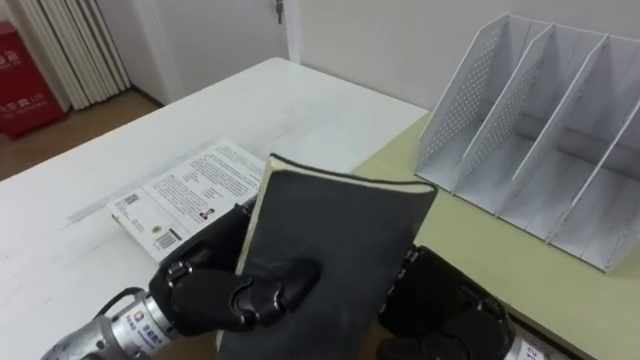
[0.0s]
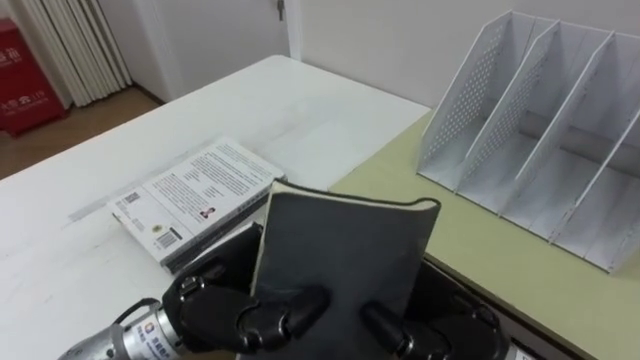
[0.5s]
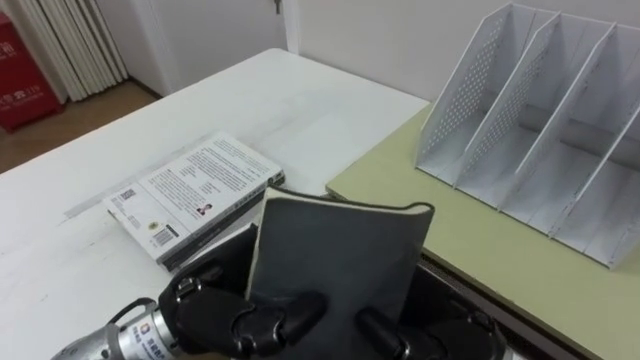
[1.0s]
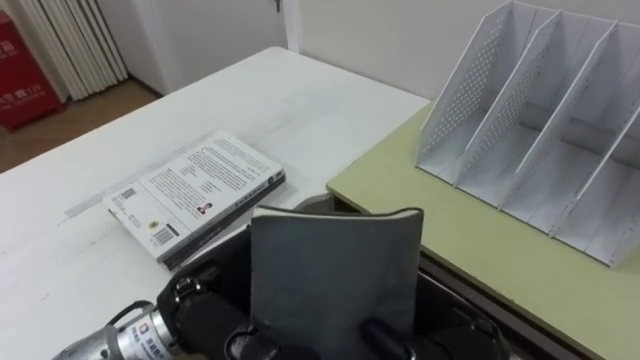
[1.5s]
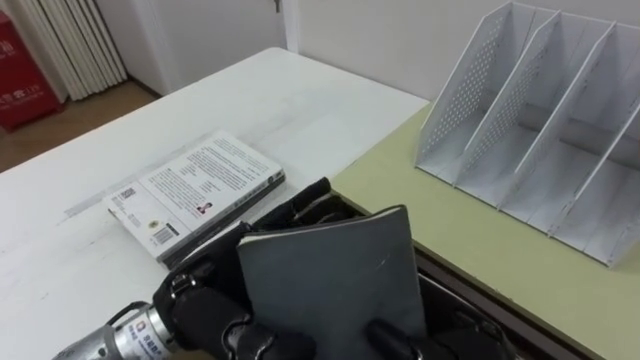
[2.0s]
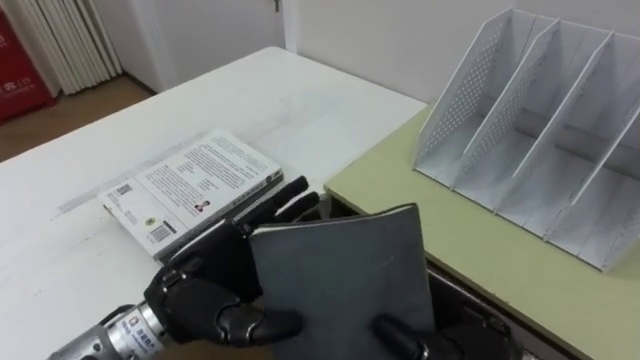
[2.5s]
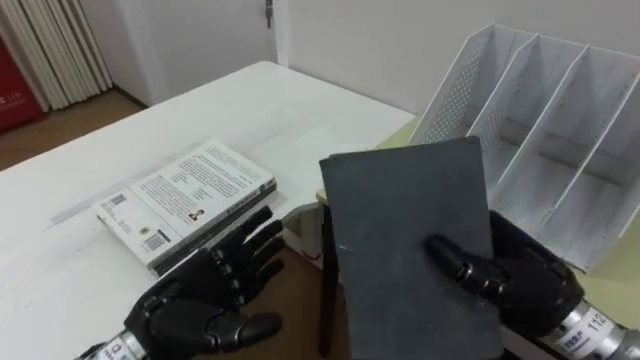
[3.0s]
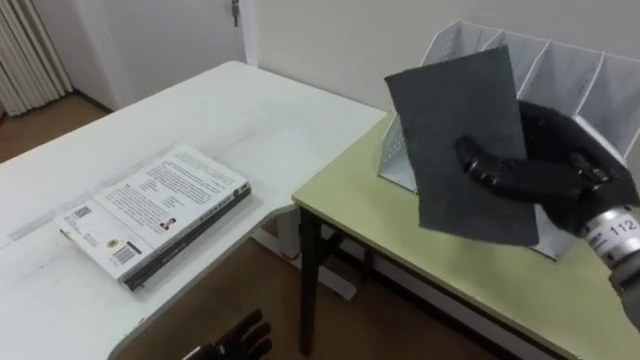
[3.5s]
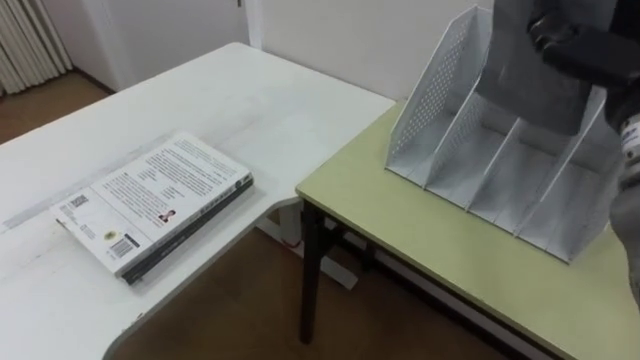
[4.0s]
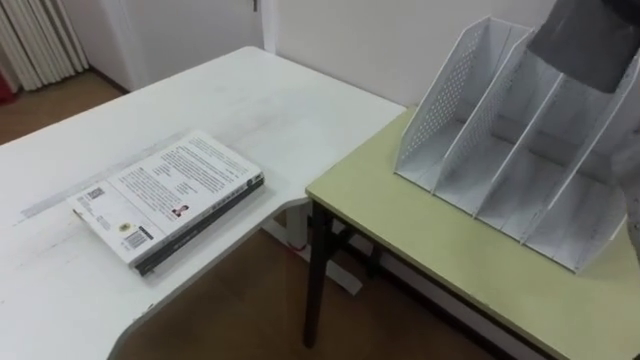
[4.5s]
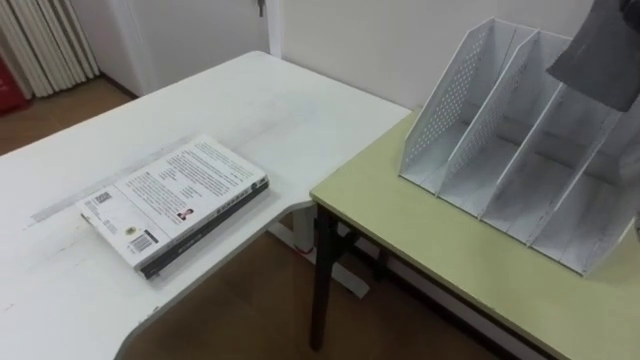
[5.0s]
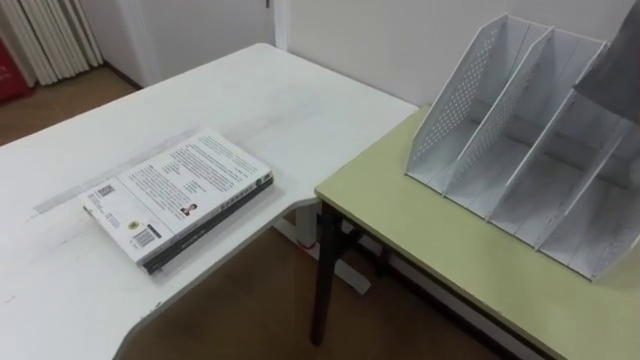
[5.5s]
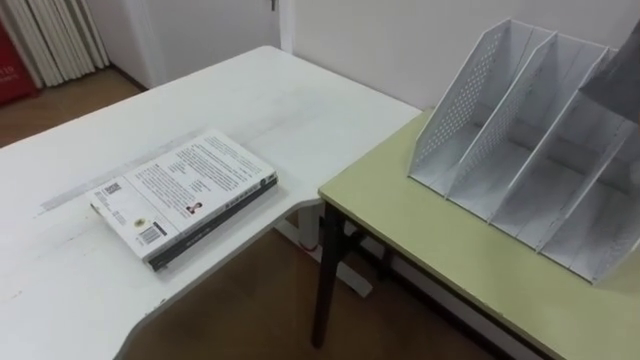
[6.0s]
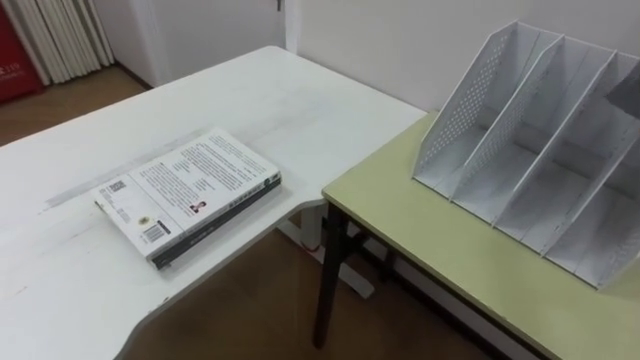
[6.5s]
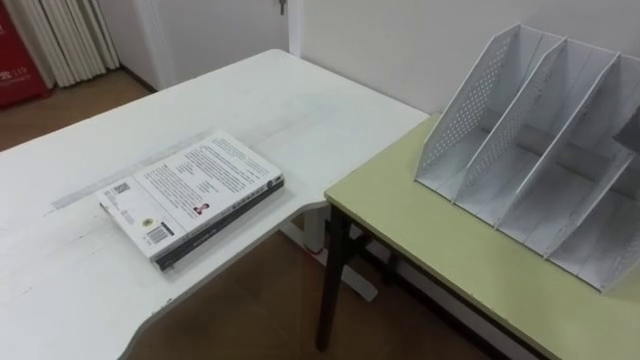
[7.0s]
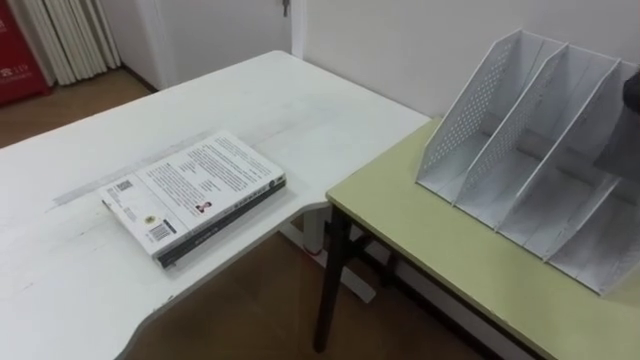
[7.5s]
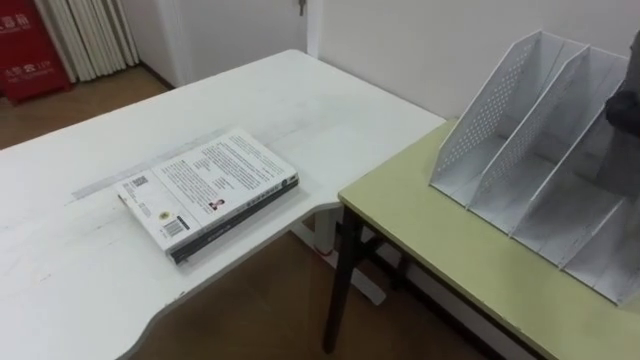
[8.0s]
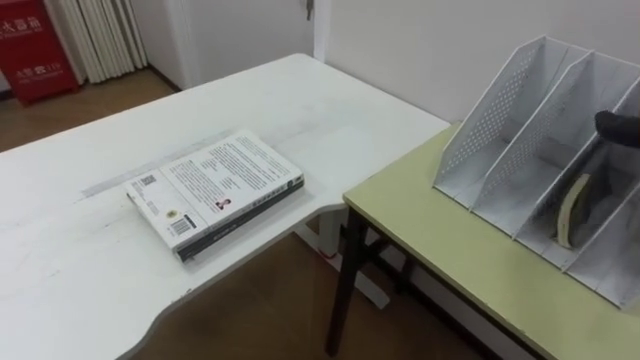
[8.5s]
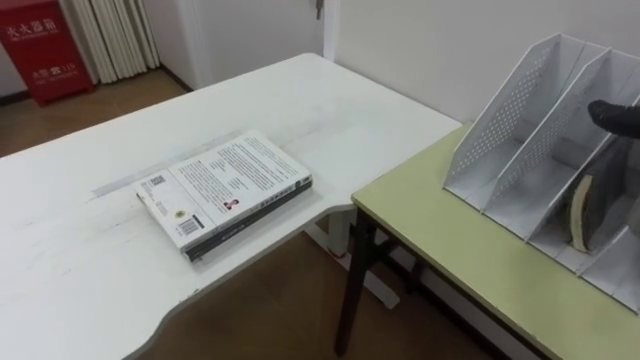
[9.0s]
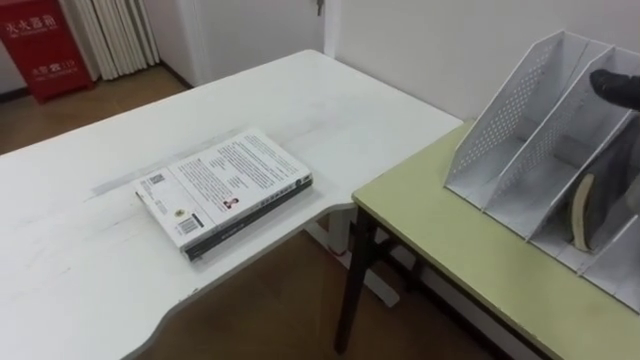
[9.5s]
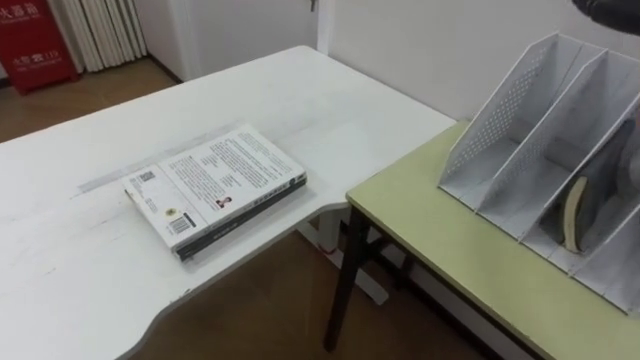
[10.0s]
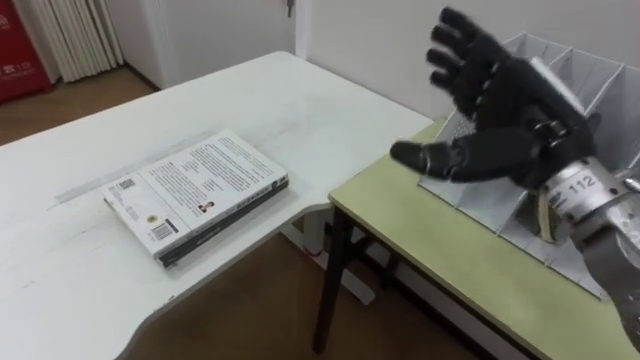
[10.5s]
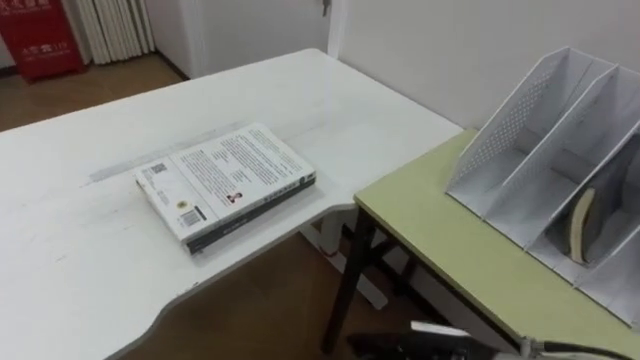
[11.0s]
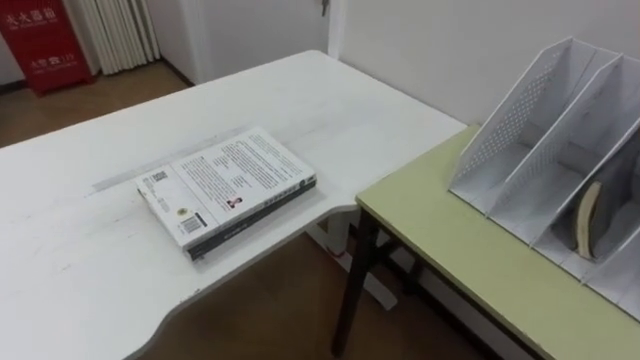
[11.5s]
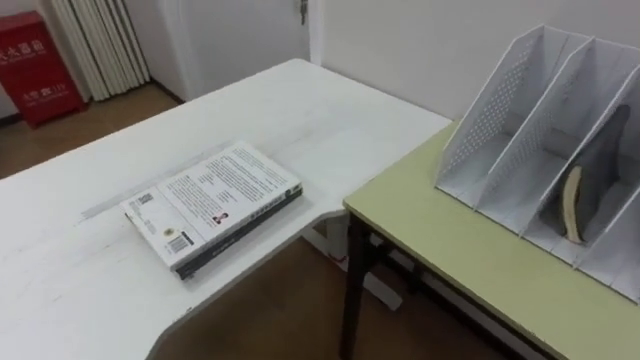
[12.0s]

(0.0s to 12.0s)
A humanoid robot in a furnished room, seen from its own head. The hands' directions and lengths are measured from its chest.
Task of the whole recording: Put the books on the table onto the bookshelf.
0.0s - 2.0s: The right hand closes its fingers, while the left hand opens up.
2.0s - 4.0s: The right hand is displaced upward, to the right and forward by approximately 30 cm.

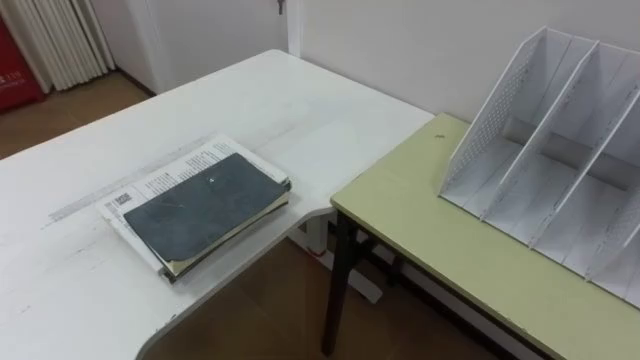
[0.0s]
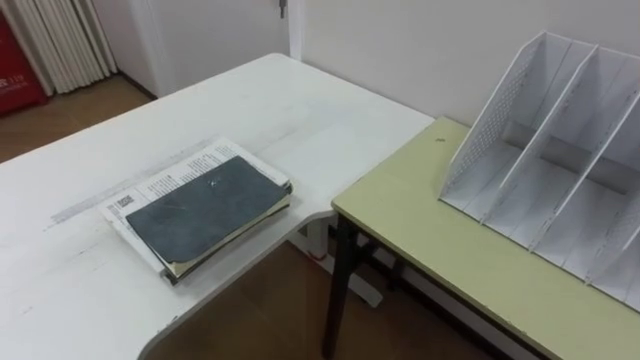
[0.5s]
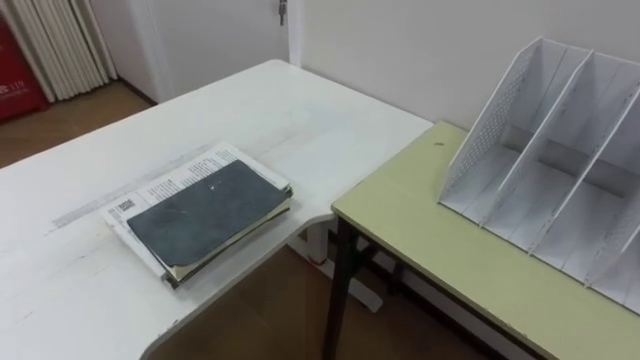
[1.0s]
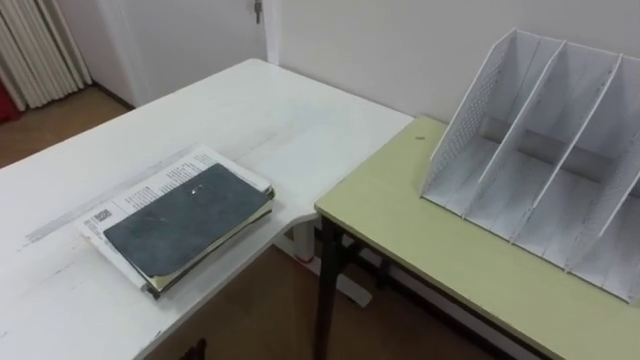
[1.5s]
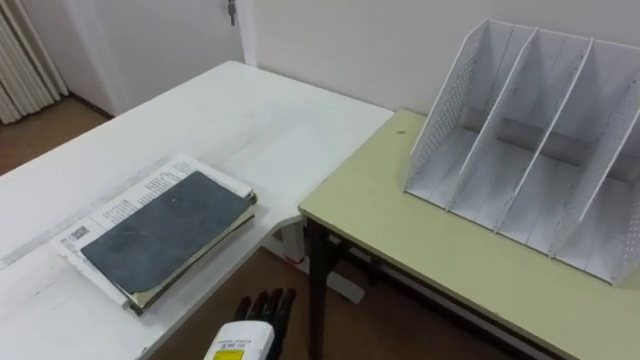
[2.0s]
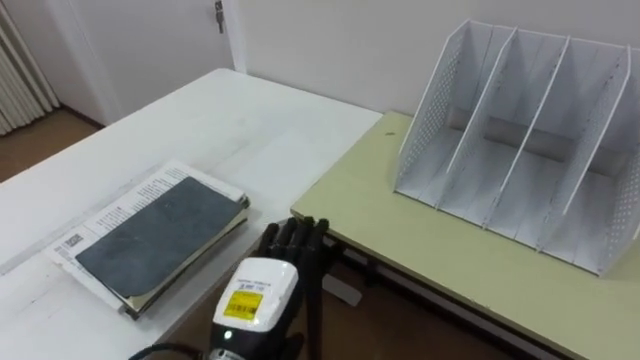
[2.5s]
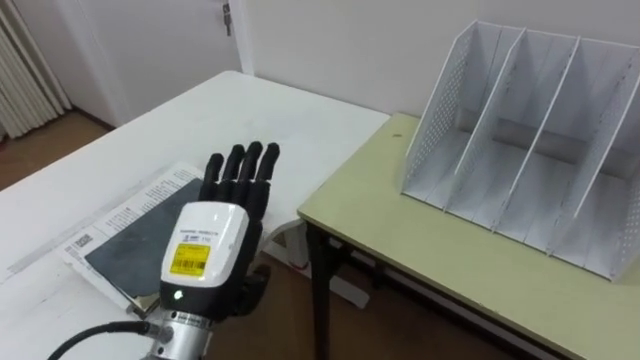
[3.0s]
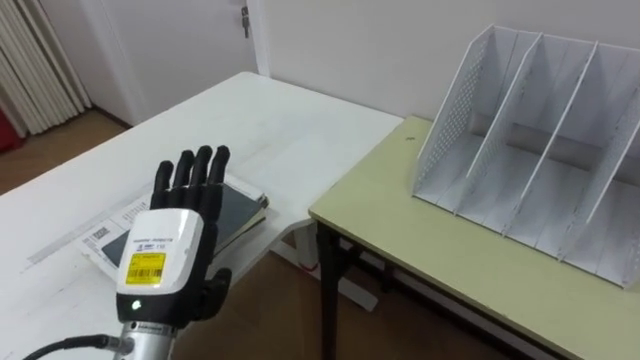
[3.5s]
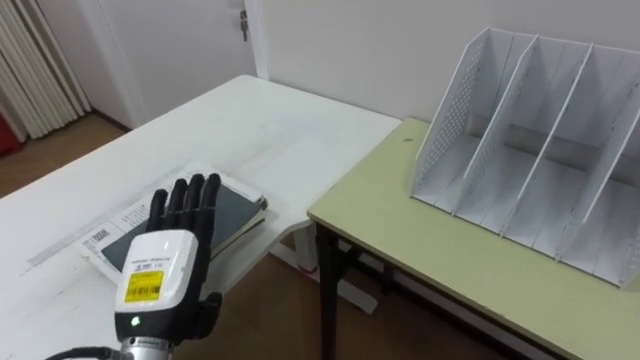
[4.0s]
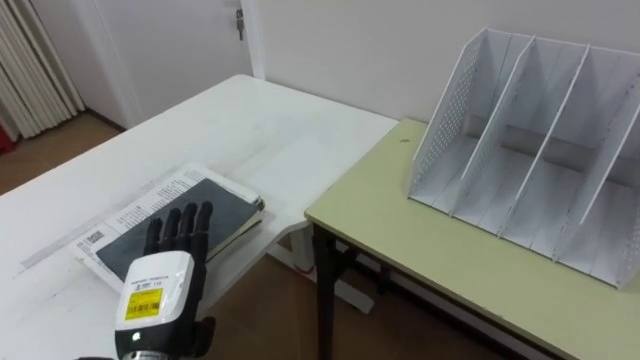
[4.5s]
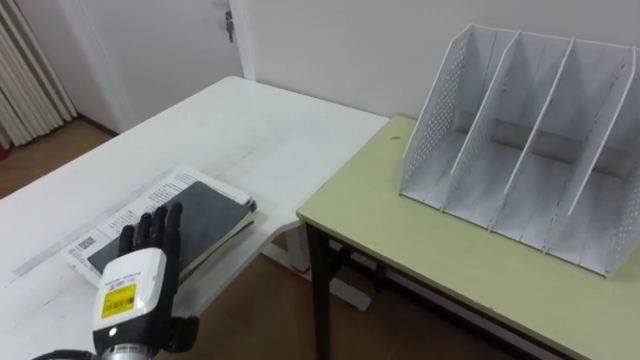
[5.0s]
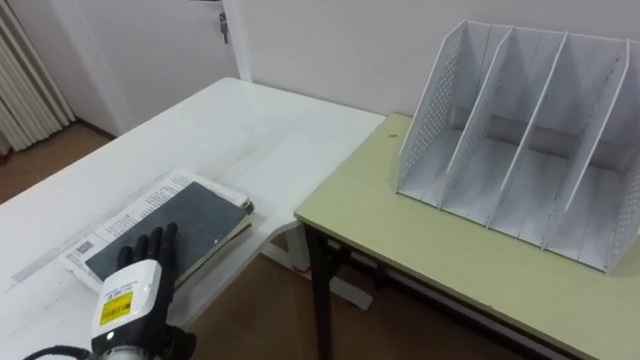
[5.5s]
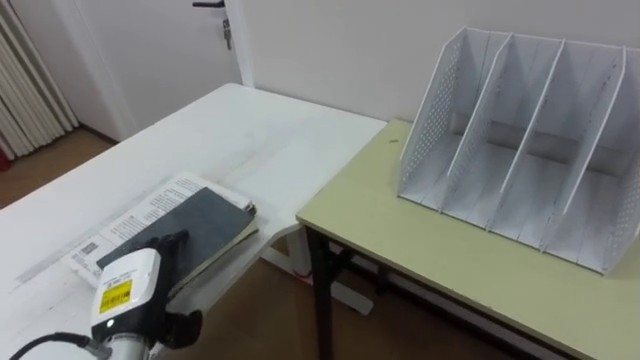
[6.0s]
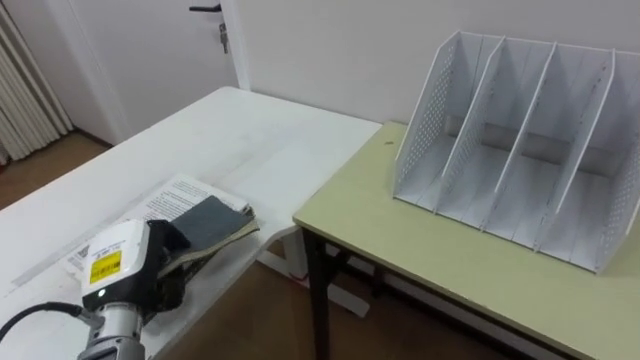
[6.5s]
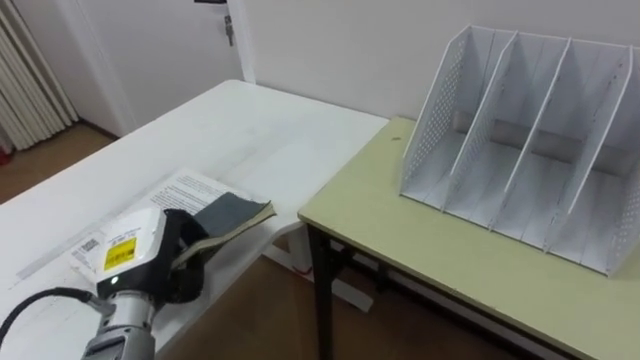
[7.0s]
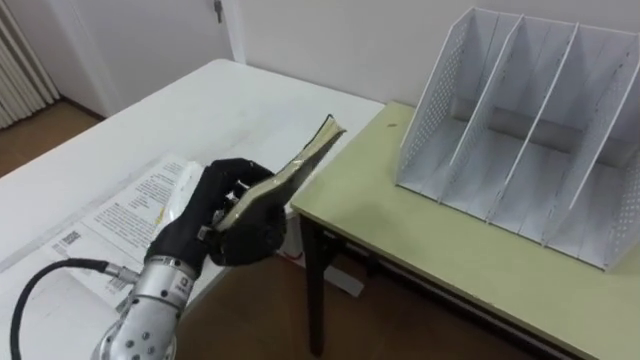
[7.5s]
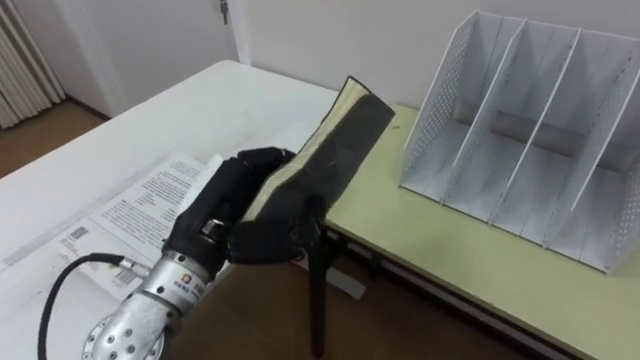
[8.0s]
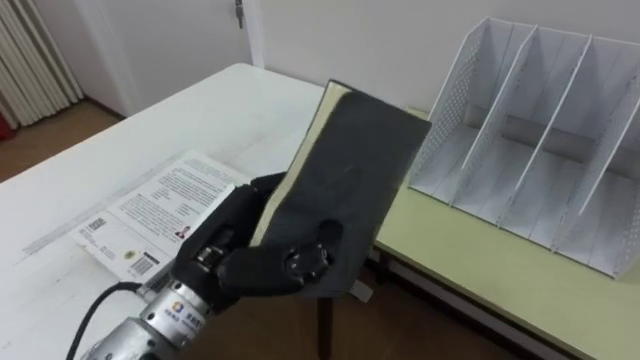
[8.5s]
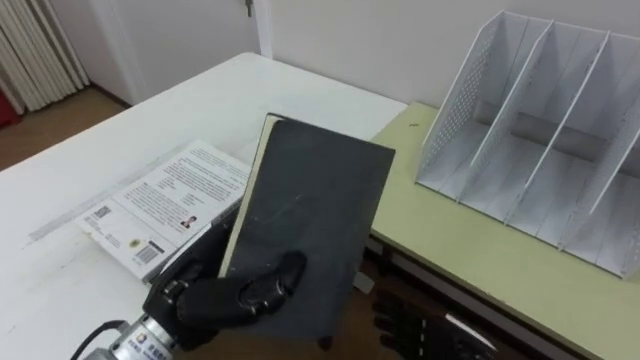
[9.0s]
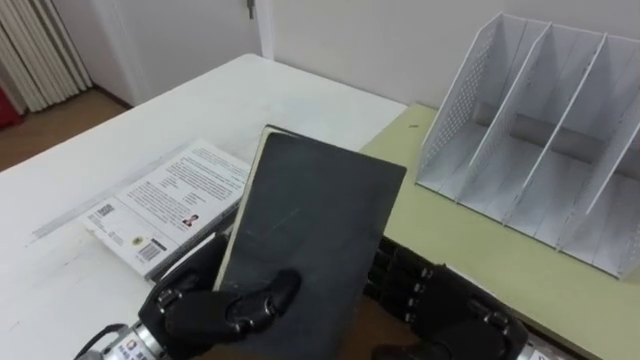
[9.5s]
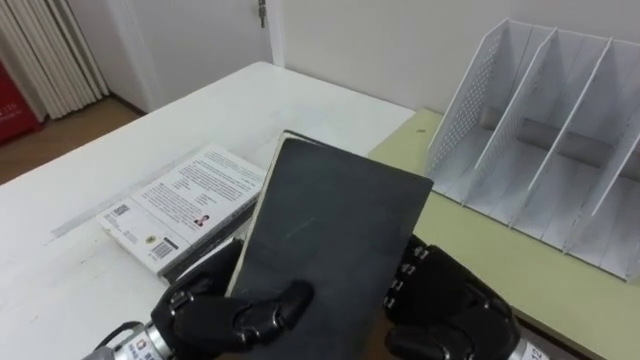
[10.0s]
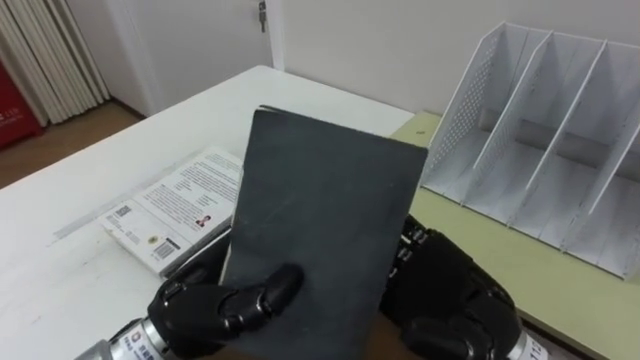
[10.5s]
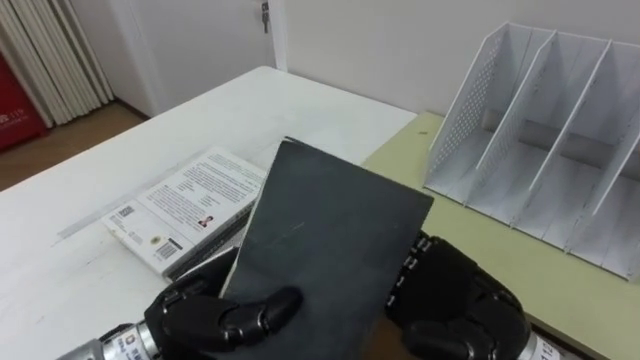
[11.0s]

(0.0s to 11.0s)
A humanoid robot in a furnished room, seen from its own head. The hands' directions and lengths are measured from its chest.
Task of the whole recording: Put the books on the table onto the bookshelf.
3.5s - 5.5s: The left hand travels downward and to the left by some 10 cm.
5.5s - 7.5s: The left hand goes some 15 cm upward and to the right, and closes its fingers.
7.5s - 9.0s: The left hand moves backward, roughly 5 cm.
